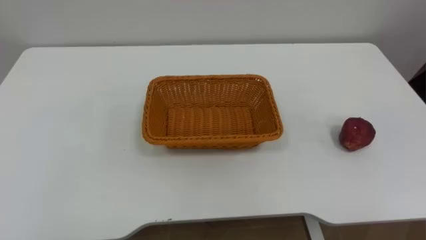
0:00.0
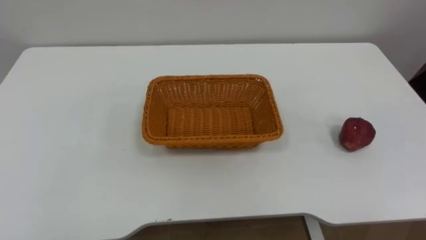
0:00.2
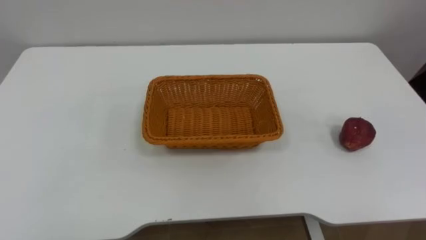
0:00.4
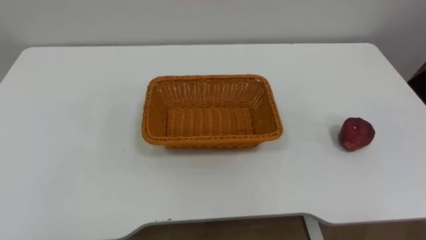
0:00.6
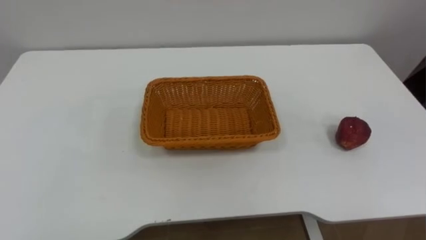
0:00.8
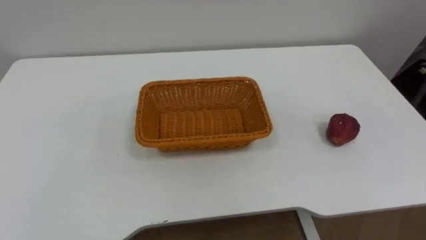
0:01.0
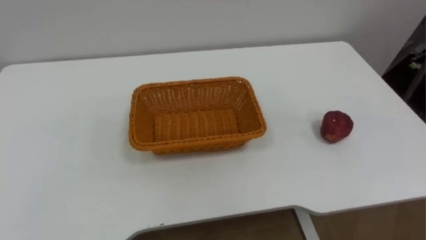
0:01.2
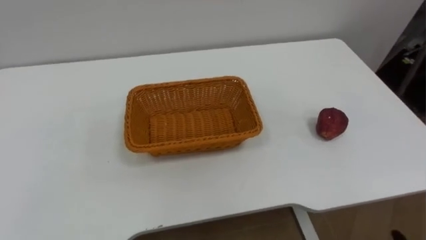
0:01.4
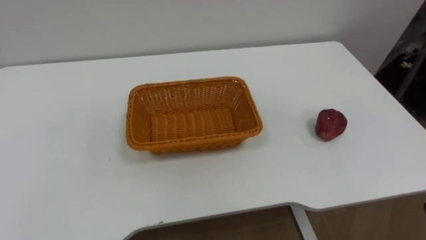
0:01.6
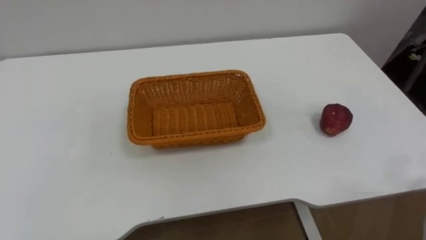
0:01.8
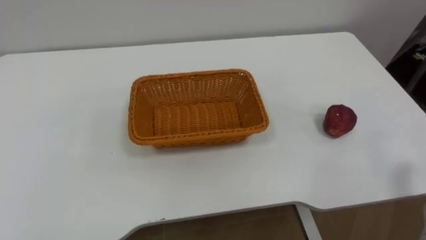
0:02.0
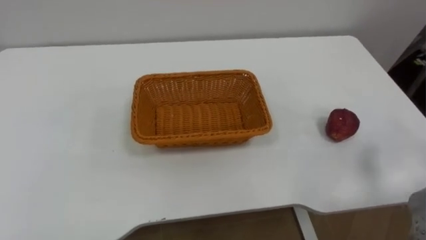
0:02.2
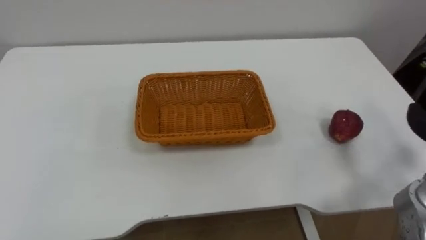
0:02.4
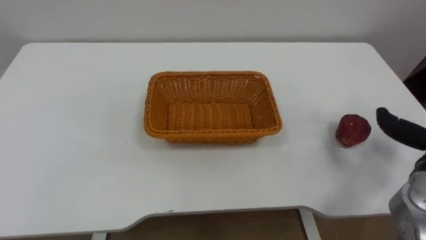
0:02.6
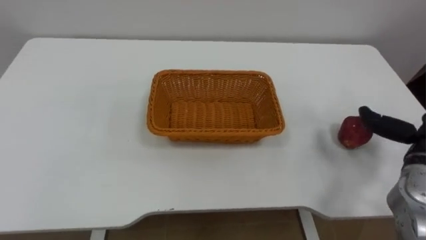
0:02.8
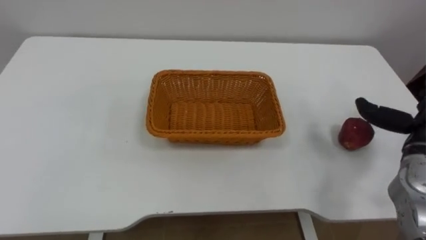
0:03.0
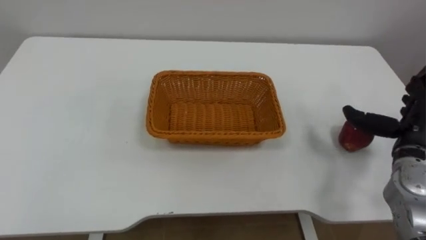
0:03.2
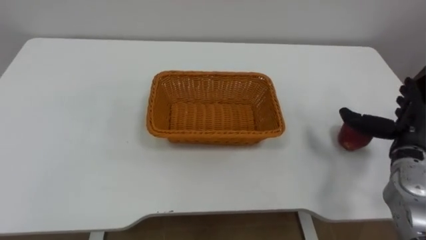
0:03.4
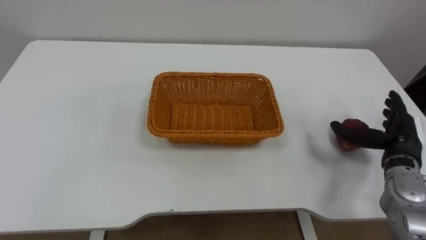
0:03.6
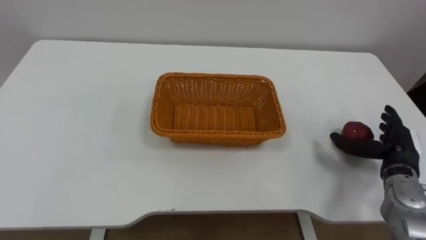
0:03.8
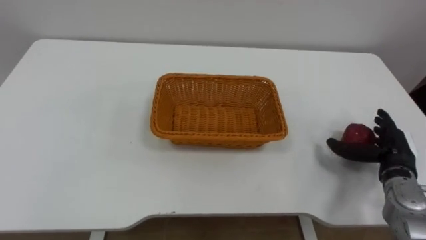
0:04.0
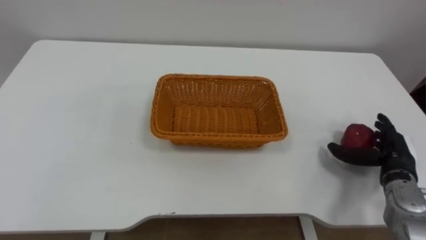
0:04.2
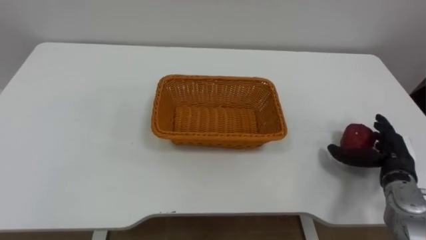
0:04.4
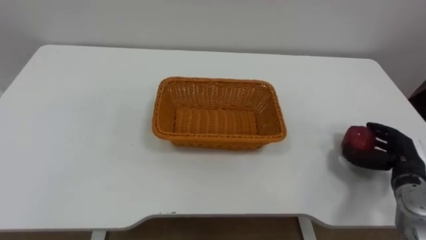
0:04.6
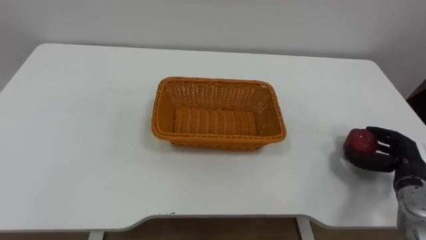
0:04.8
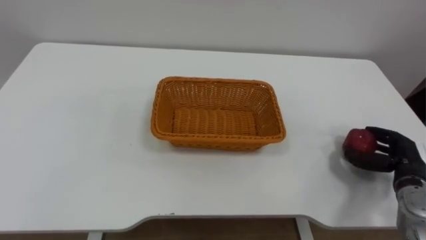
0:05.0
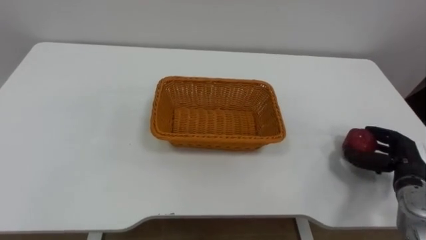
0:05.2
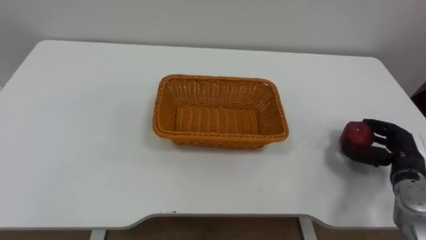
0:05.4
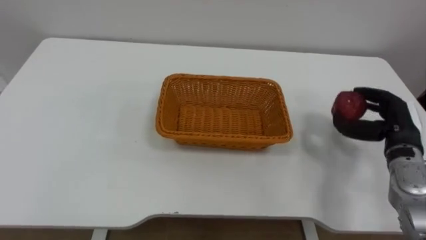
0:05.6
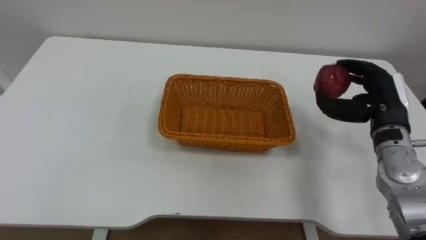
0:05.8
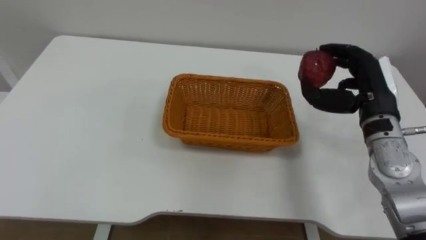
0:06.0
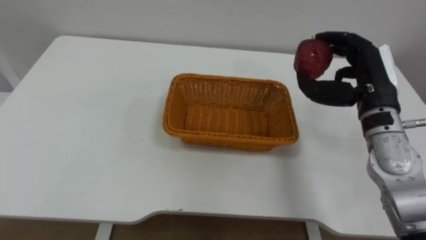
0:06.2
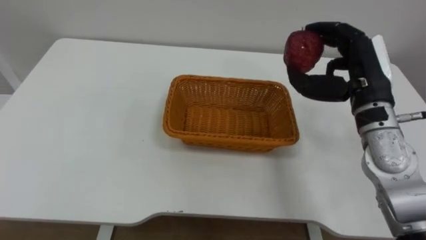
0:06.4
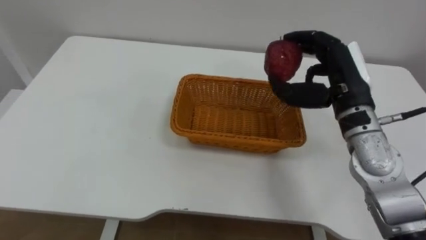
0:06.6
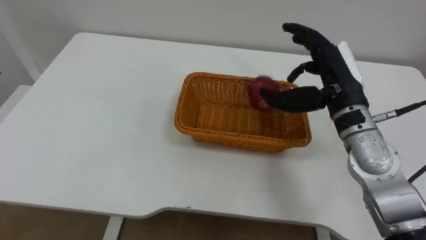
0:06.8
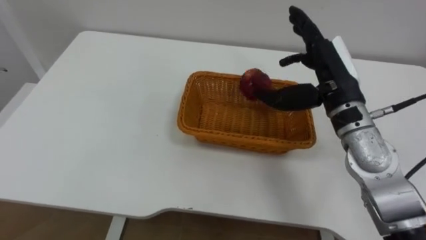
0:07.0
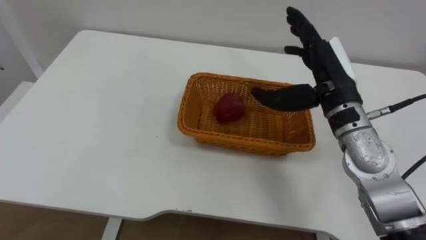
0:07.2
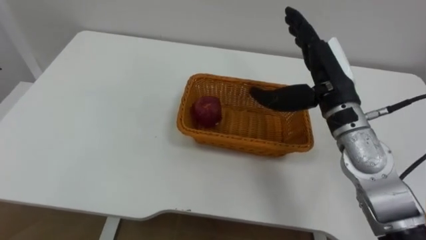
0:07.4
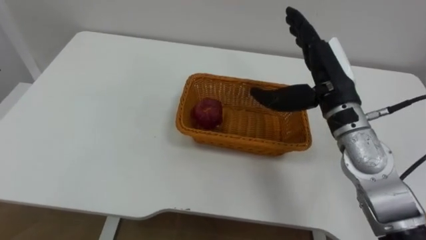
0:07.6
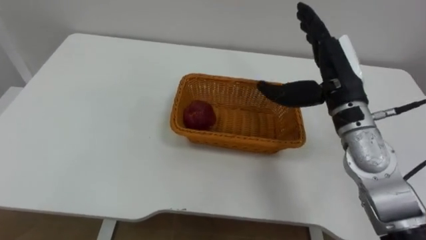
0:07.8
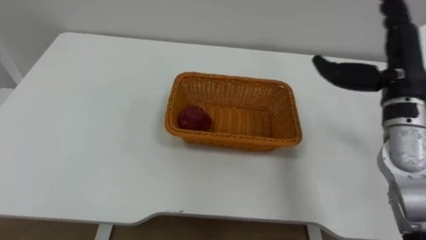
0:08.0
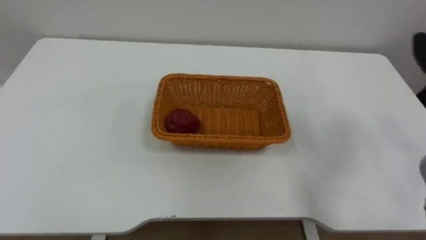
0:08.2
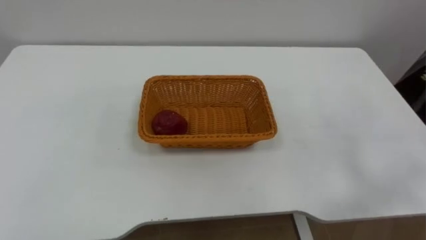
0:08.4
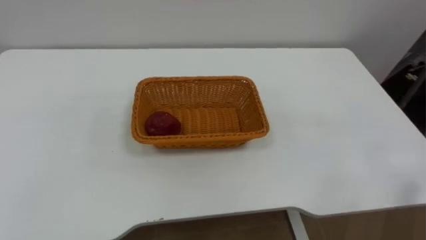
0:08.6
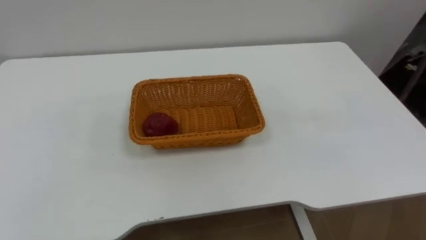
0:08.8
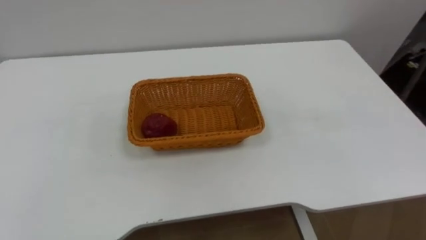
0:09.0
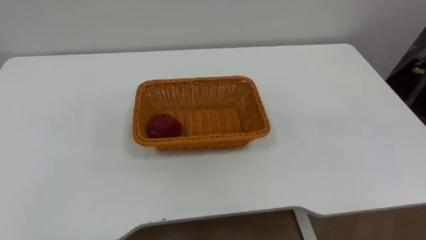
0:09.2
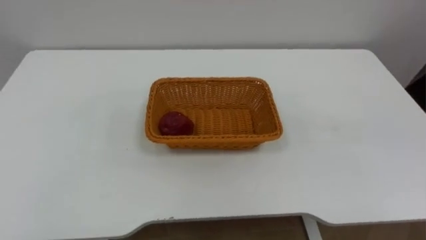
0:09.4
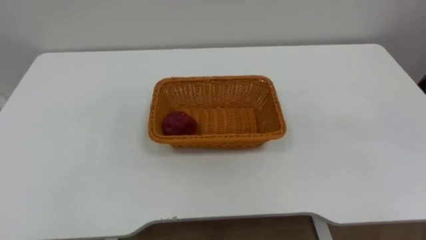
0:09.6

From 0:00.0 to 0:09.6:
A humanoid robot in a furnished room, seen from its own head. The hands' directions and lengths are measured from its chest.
Task of the whole recording: Pick the apple and place it in the box.
From 0:03.2 to 0:04.8: The right hand shifts approximately 10 cm downward, and closes up.
From 0:04.8 to 0:06.4: The right hand shifts some 25 cm upward and to the left.
From 0:06.4 to 0:08.0: The right hand opens up.

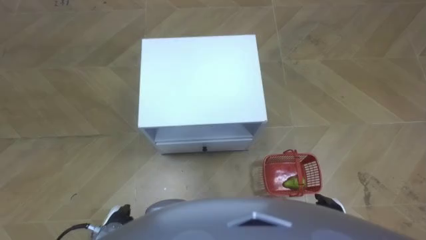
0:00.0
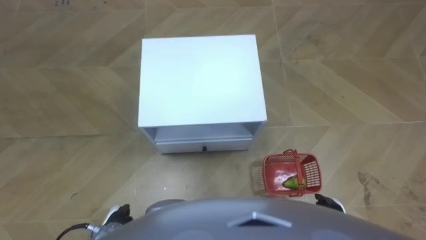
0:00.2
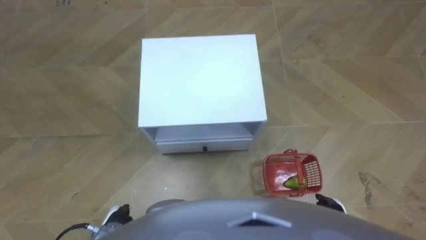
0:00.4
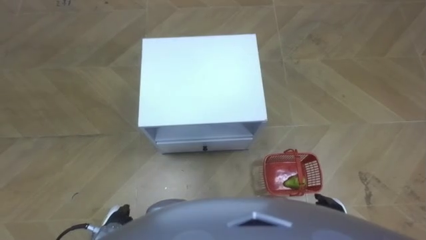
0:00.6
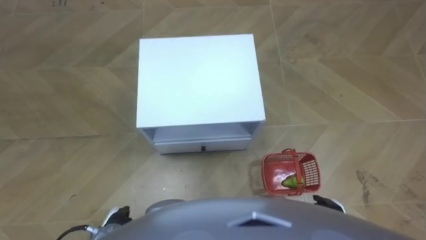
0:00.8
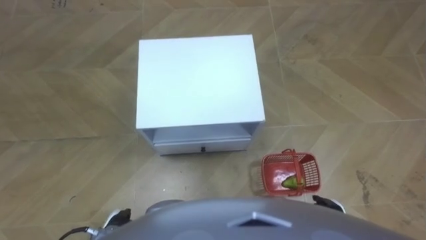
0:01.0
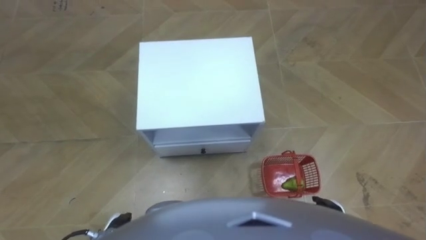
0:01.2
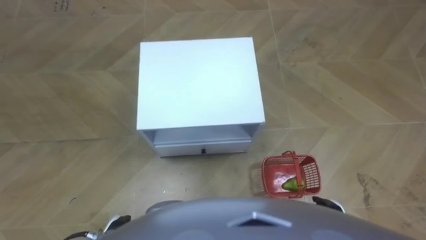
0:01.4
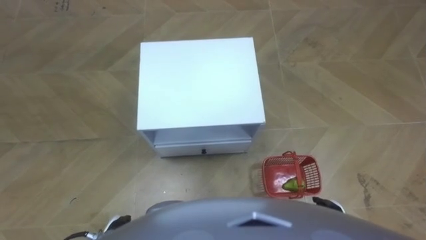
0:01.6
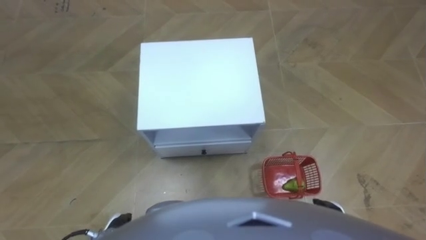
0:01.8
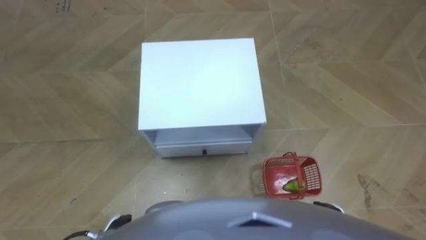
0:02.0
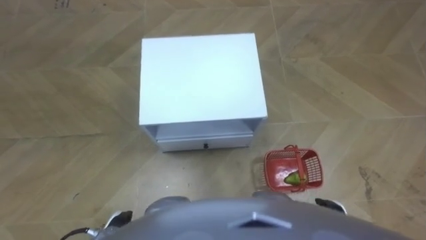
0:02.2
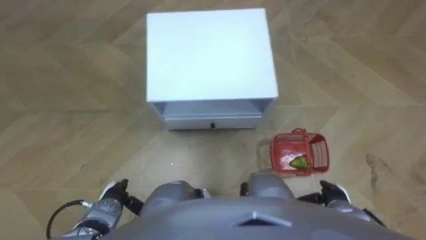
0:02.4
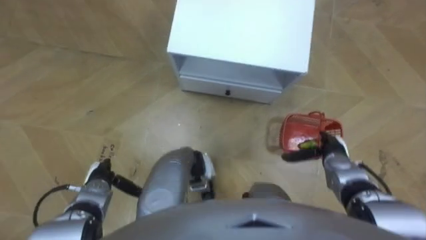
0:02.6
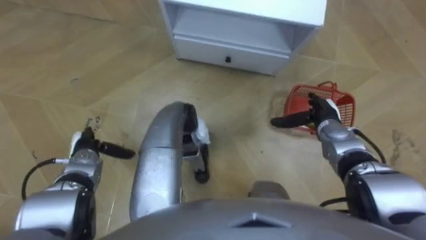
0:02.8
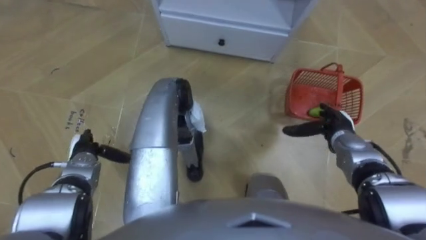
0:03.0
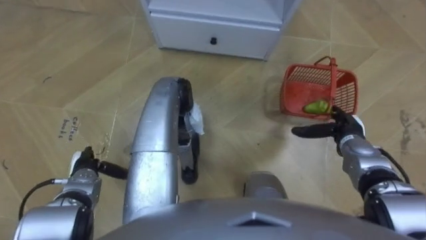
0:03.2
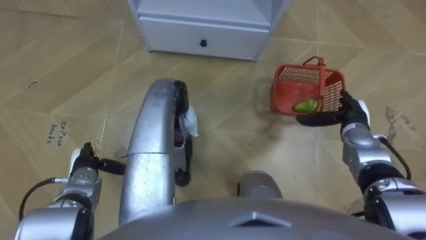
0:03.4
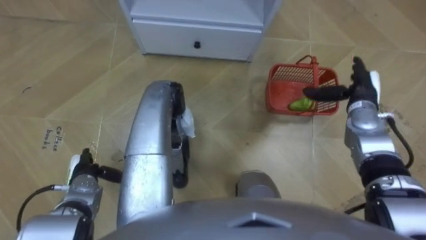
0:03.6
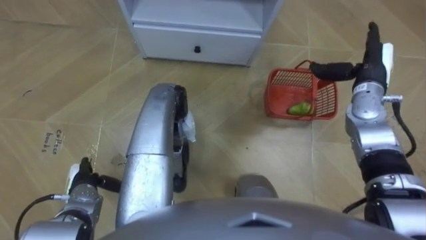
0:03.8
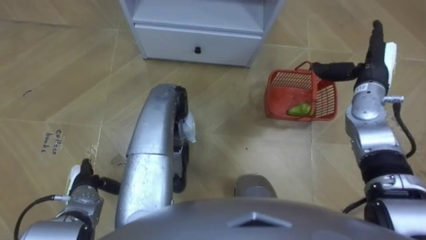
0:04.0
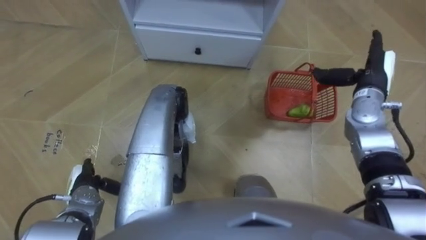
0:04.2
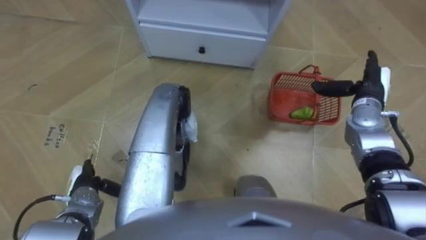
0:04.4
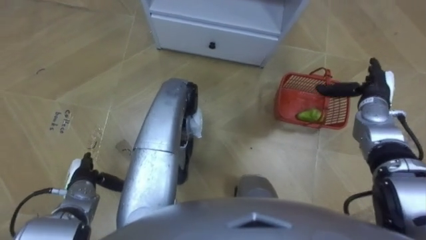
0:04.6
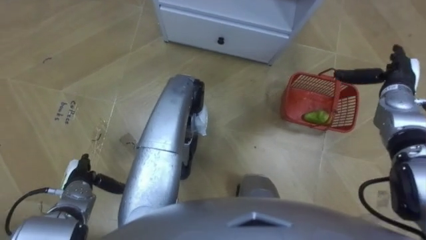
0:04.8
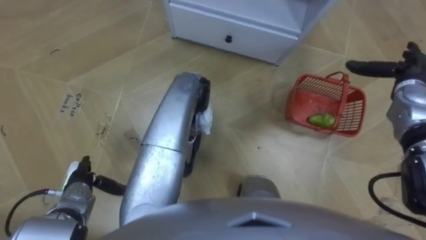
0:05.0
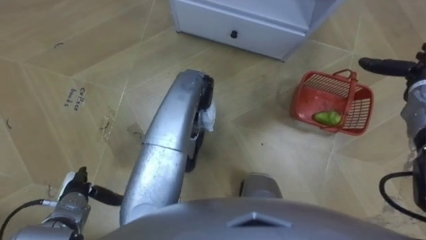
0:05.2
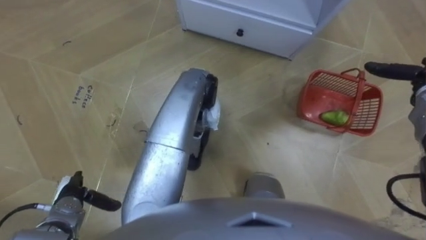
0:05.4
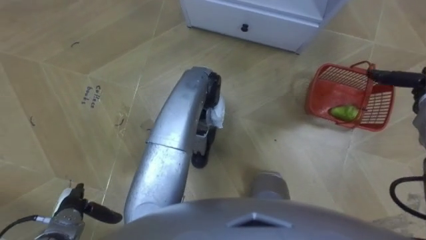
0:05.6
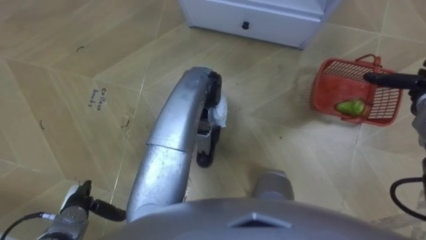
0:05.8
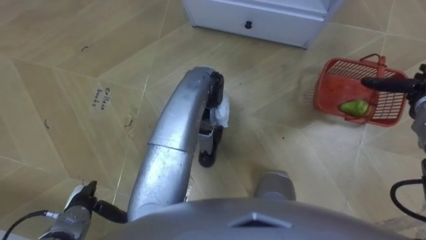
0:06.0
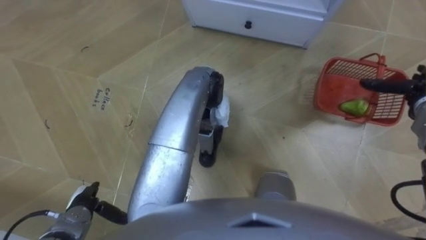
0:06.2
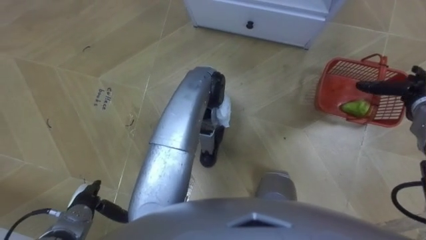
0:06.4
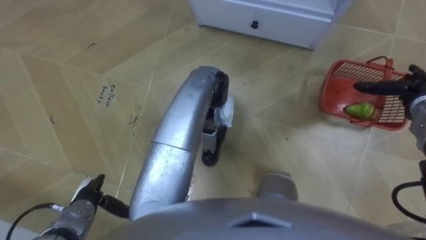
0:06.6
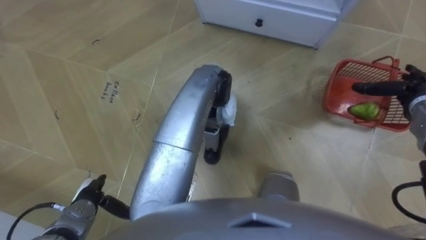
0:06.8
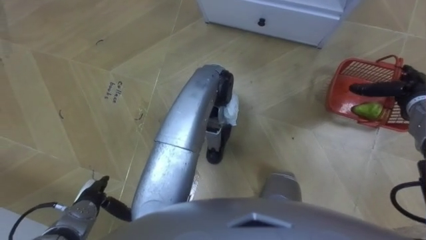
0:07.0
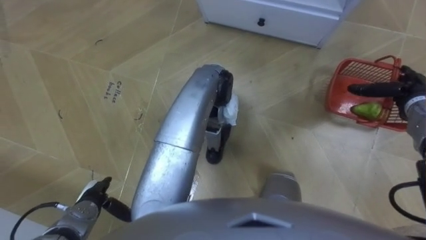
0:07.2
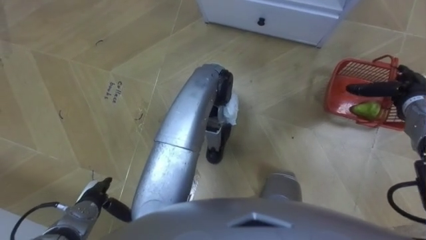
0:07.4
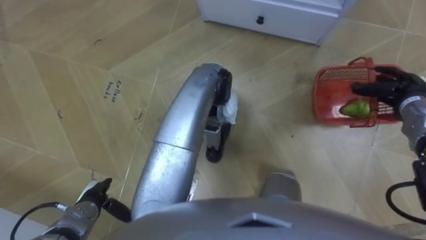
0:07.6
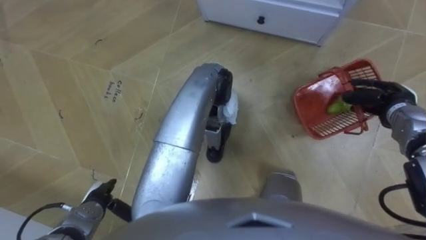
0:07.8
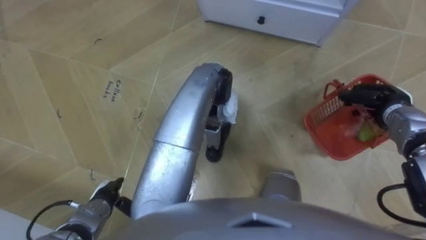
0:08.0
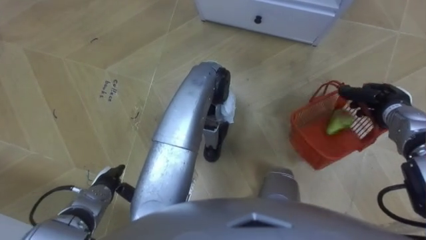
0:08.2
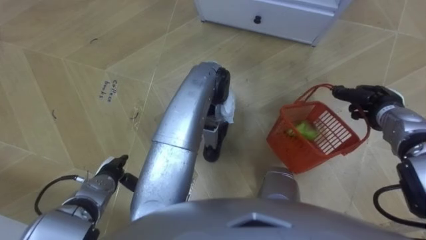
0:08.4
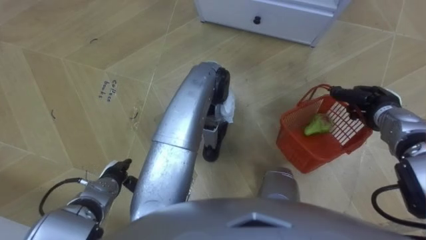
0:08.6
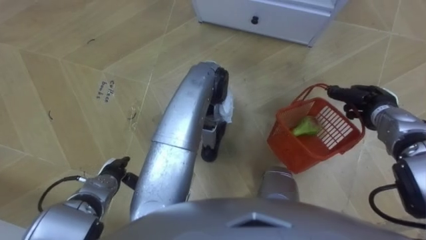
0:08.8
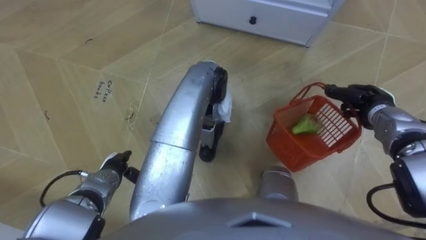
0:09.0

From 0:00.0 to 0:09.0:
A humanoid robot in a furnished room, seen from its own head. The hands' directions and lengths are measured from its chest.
Task of the whole recording: Pick up the fruit basket from the floor and place it on the cabinet.
From 0:01.6 to 0:03.0: The left hand shifts about 20 cm forward and to the left, while the right hand moves forward, some 20 cm.
From 0:03.0 to 0:04.4: The left hand is displaced backward by some 10 cm. Meanwhile the right hand moves upward and forward, about 10 cm.
From 0:04.4 to 0:06.0: The right hand heads to the right, covering roughly 10 cm.
From 0:07.6 to 0:09.0: The right hand travels to the left by some 5 cm, and closes its fingers, while the left hand goes some 5 cm forward.
